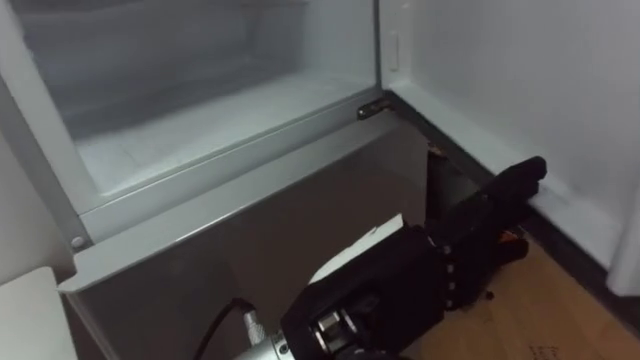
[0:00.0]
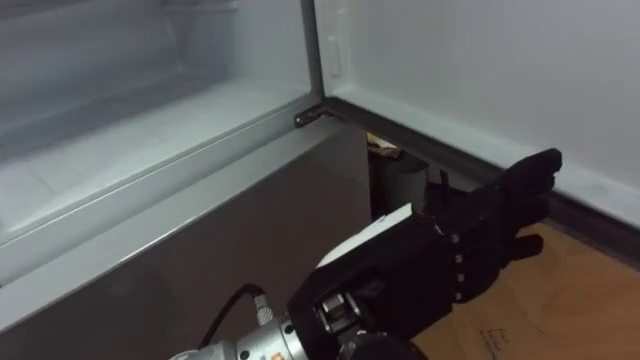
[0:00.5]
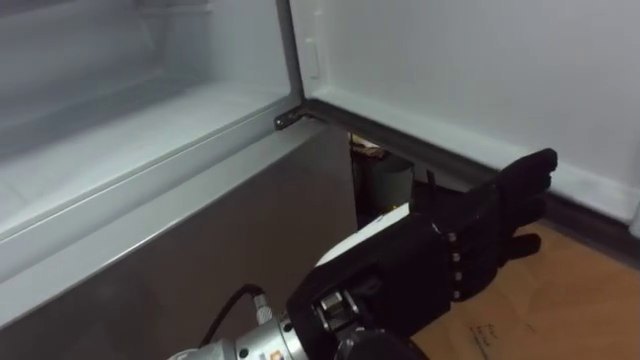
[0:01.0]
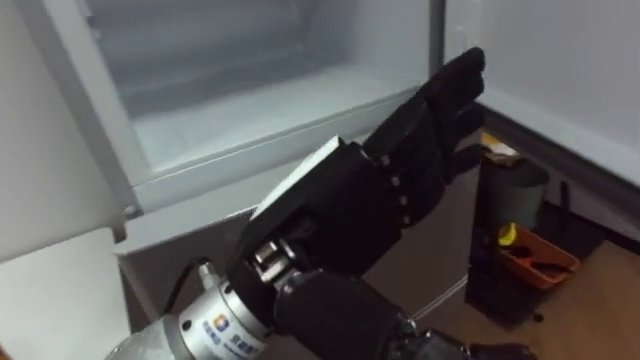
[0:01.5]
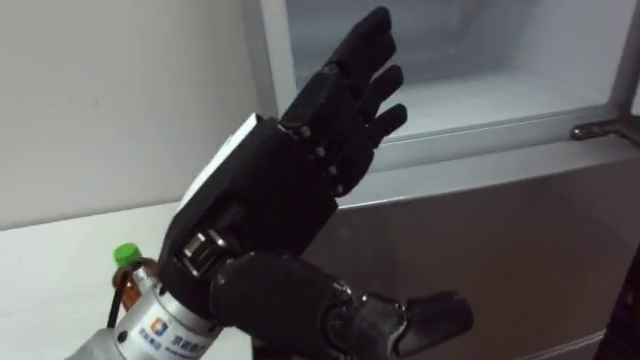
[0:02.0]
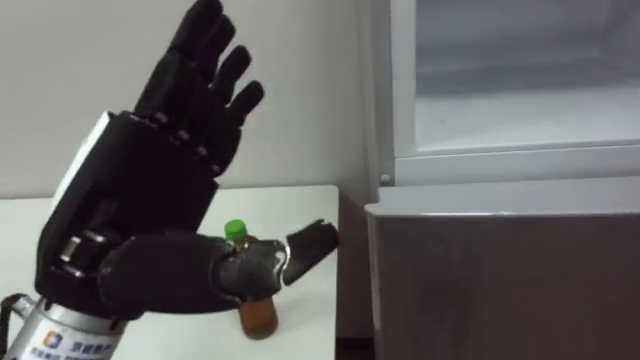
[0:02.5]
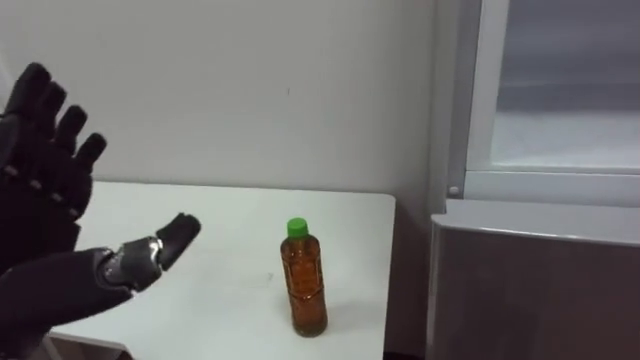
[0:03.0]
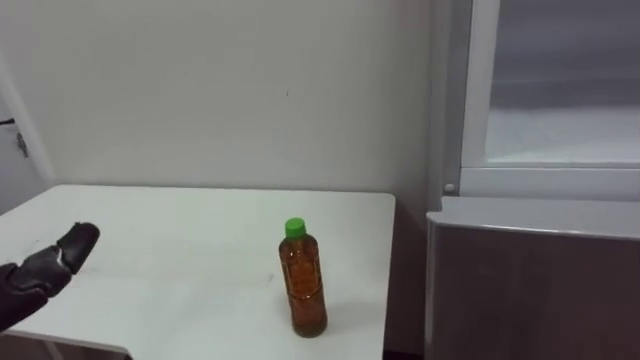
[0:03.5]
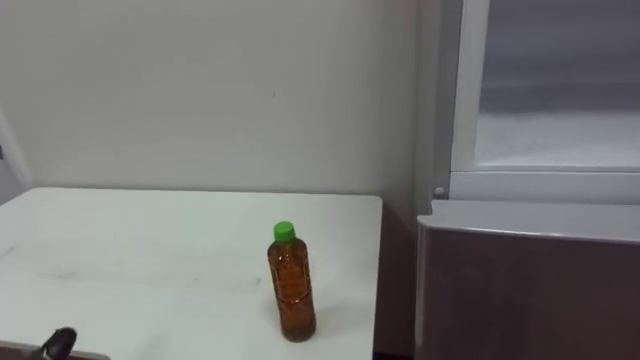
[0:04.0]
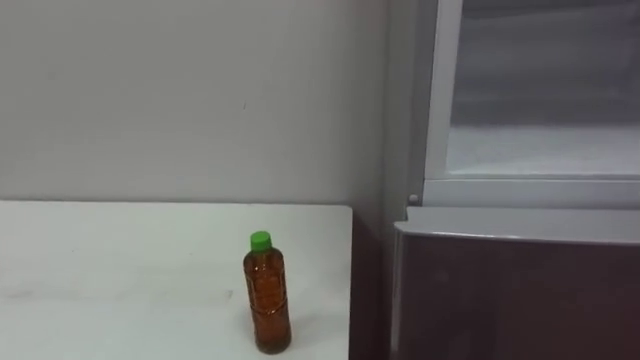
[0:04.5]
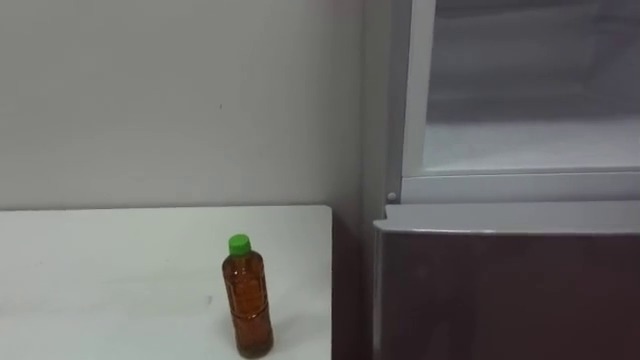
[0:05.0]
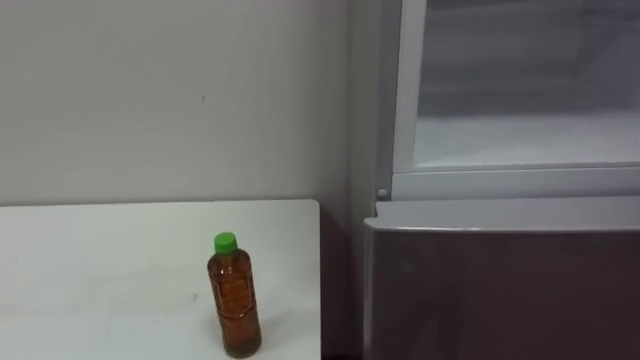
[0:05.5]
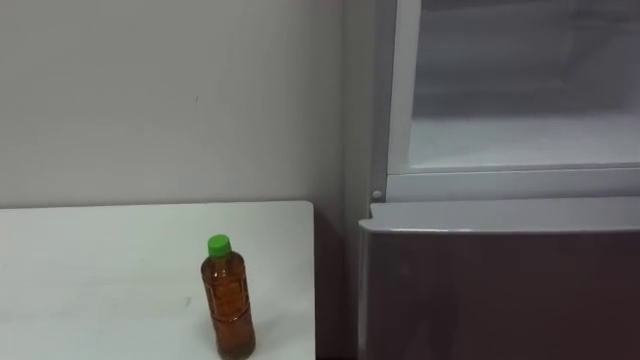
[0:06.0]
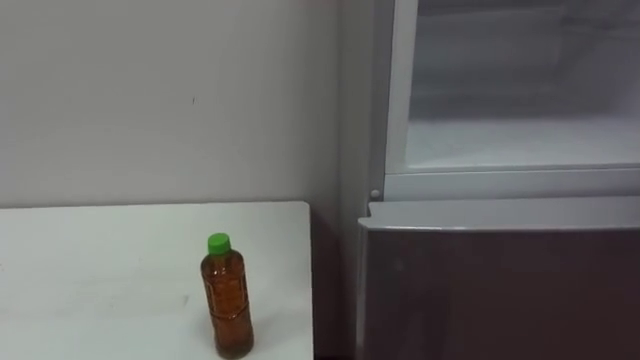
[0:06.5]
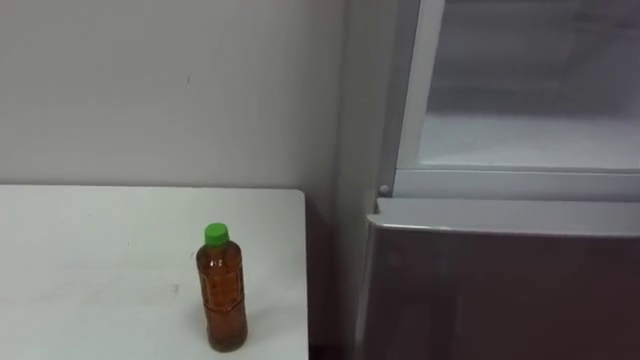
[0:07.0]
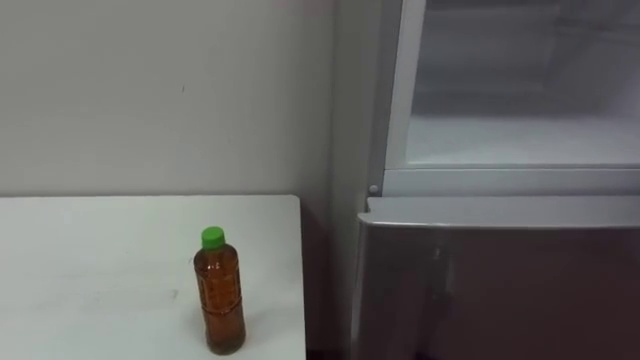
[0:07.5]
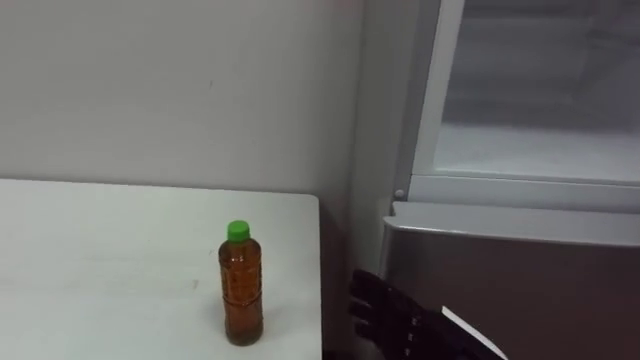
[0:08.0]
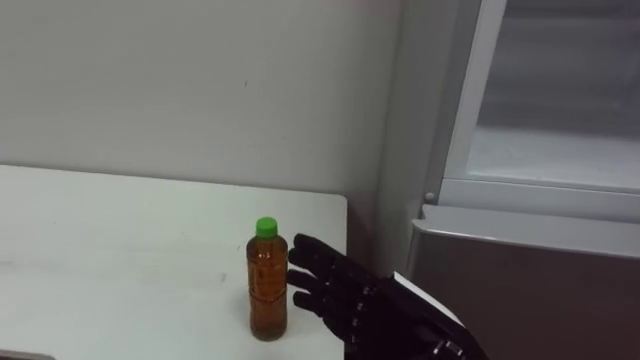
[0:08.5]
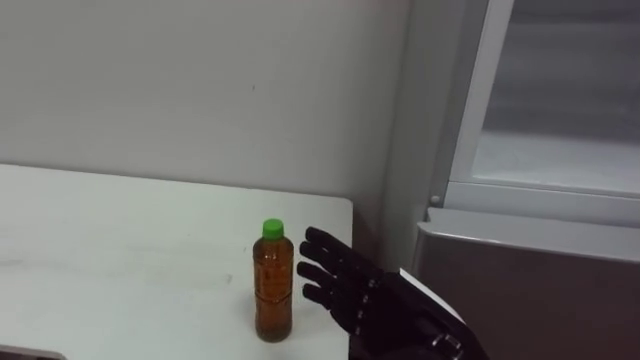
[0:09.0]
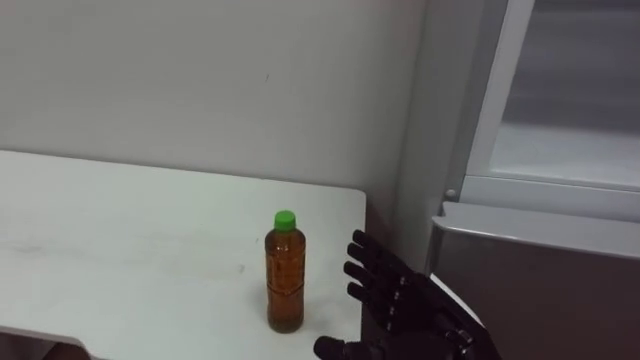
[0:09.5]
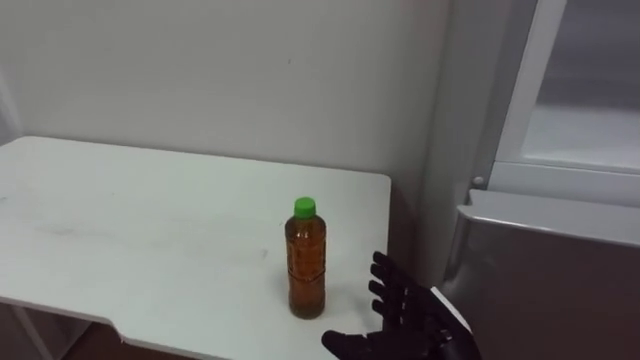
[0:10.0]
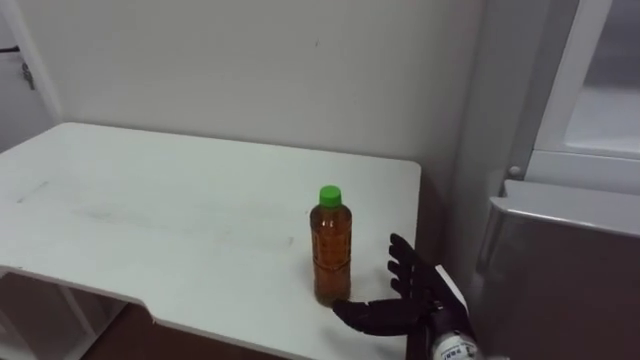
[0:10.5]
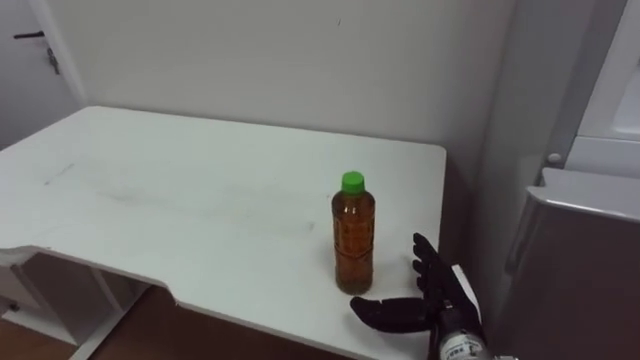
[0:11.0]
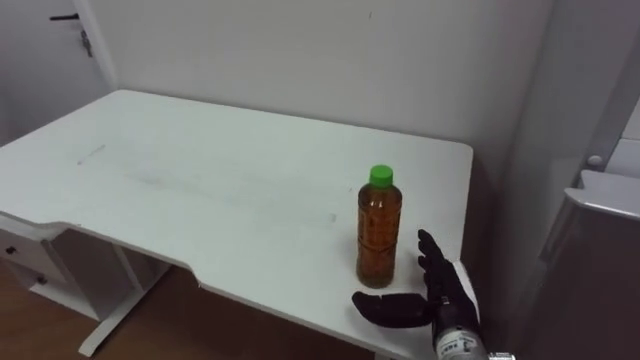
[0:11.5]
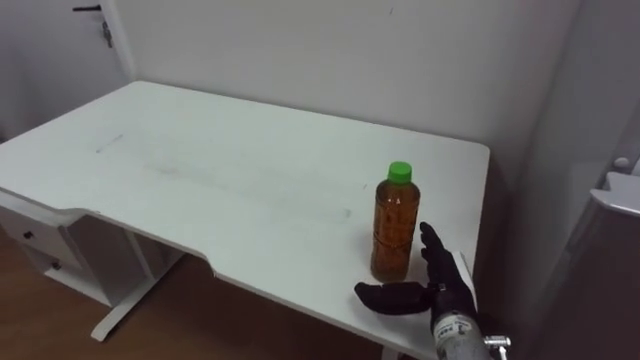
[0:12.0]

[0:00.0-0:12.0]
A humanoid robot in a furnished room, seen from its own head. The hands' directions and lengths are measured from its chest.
Task of the whole recording: Open the upper refrigerator door, put the drink from the table into the refrigerator, and then close the refrigerator door.
0:00.0 to 0:02.0: The left hand moves to the left and upward, approximately 10 cm.
0:08.0 to 0:10.0: The right hand is displaced forward by approximately 5 cm.
0:10.0 to 0:12.0: The right hand shifts some 5 cm forward.

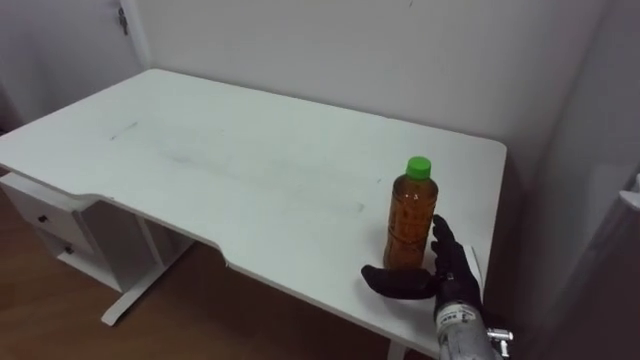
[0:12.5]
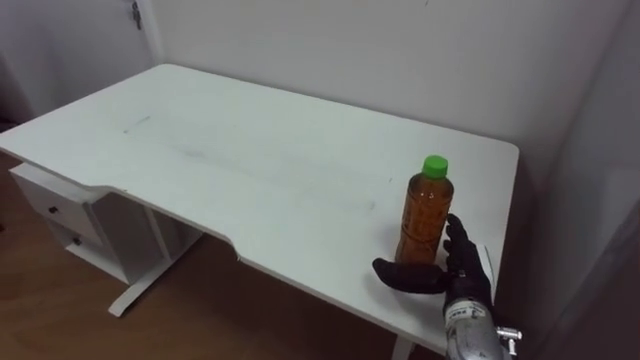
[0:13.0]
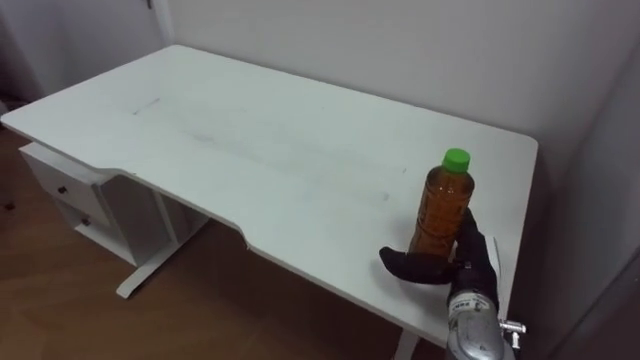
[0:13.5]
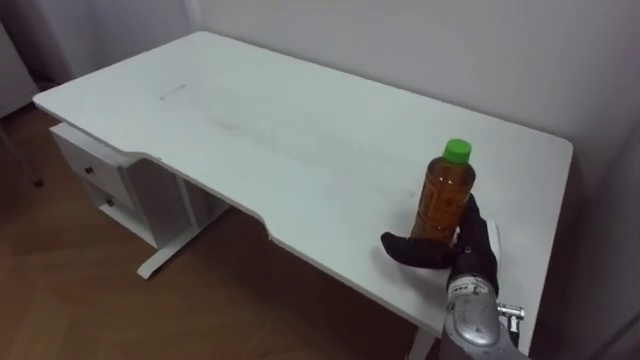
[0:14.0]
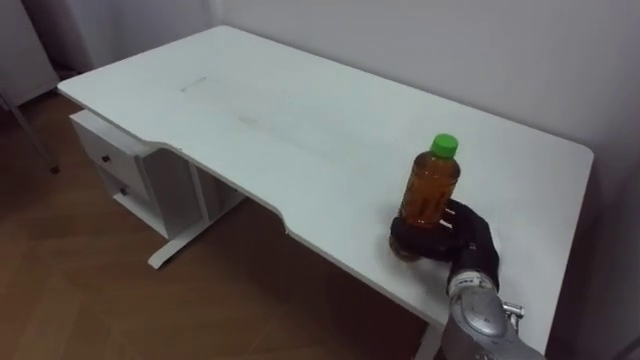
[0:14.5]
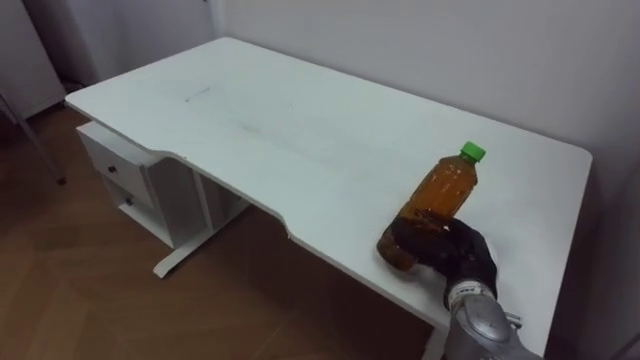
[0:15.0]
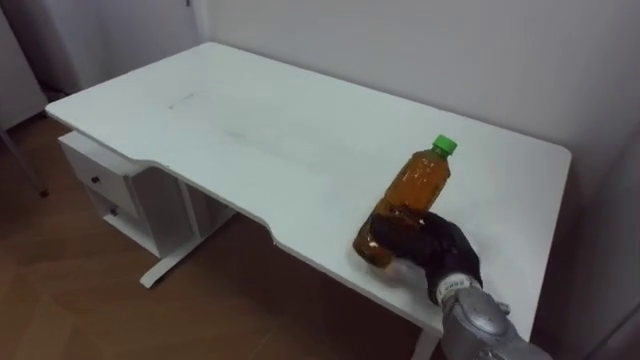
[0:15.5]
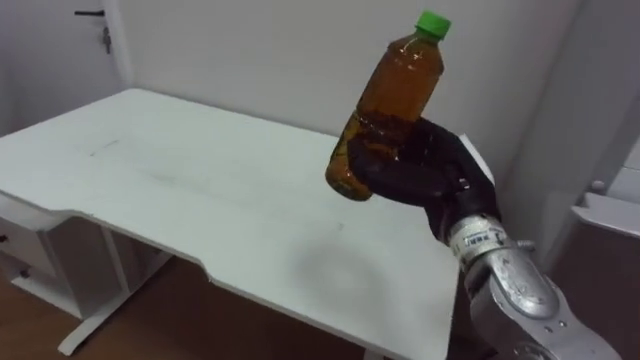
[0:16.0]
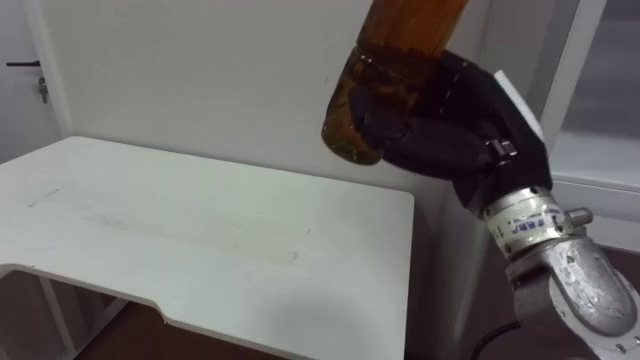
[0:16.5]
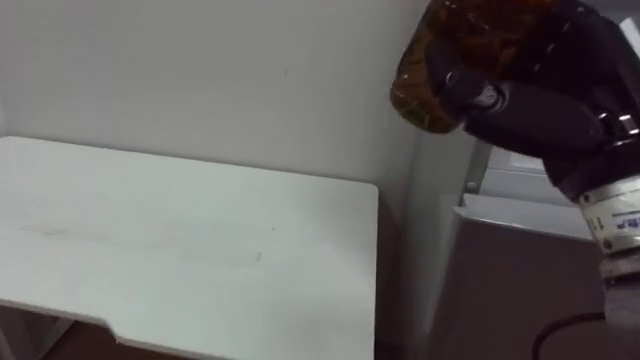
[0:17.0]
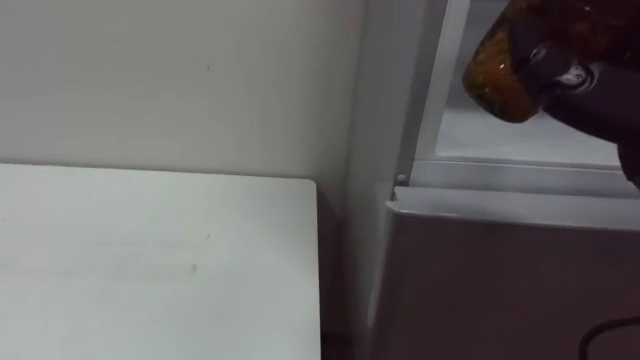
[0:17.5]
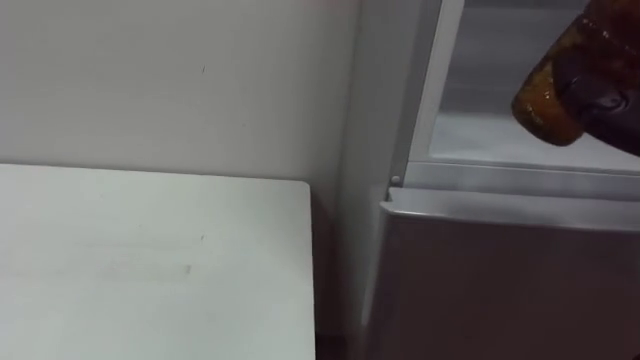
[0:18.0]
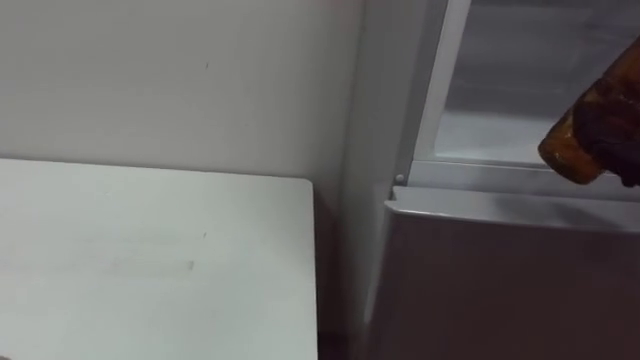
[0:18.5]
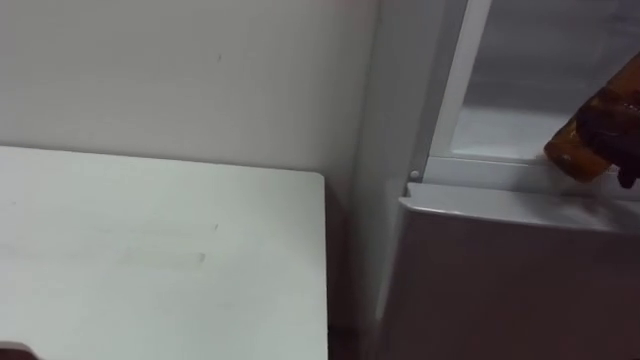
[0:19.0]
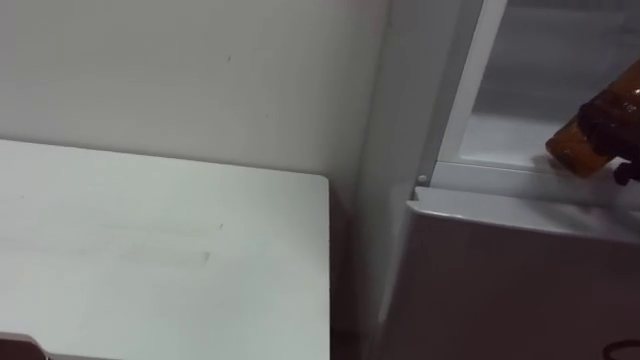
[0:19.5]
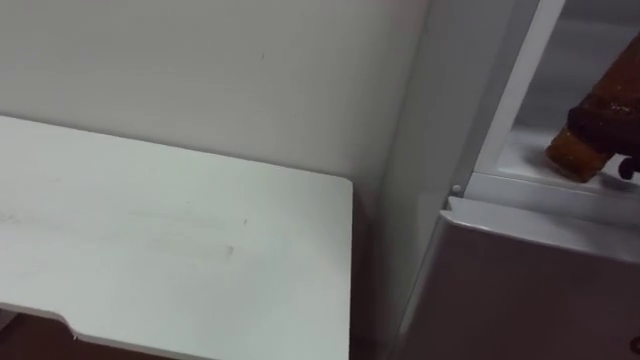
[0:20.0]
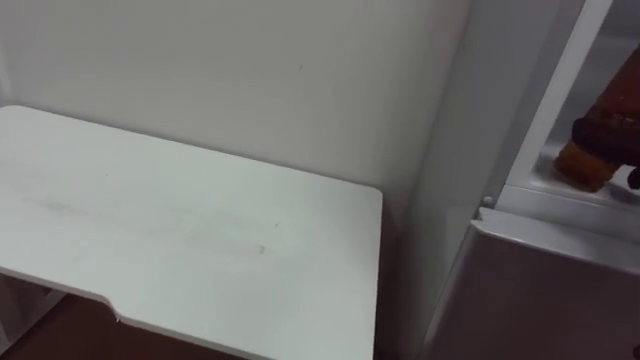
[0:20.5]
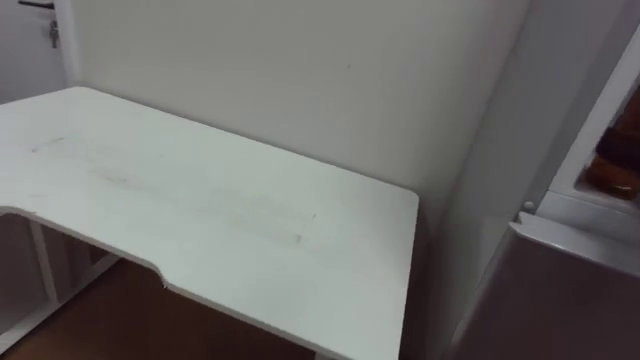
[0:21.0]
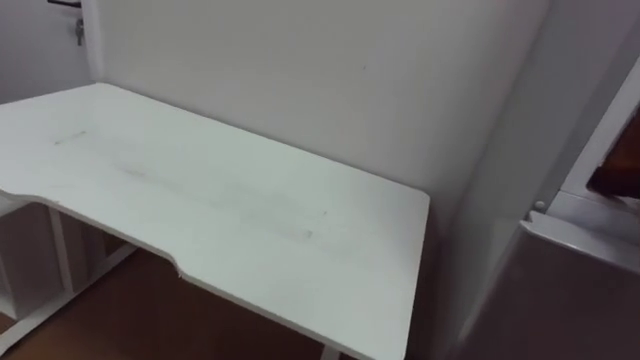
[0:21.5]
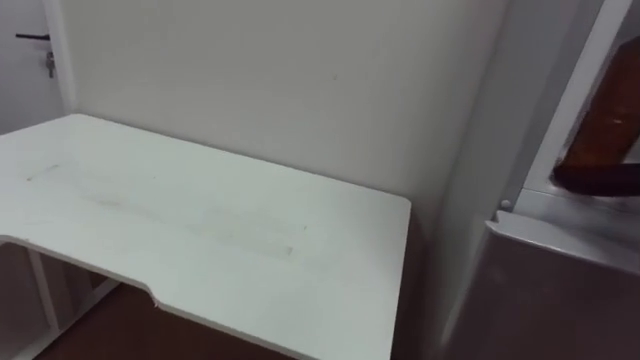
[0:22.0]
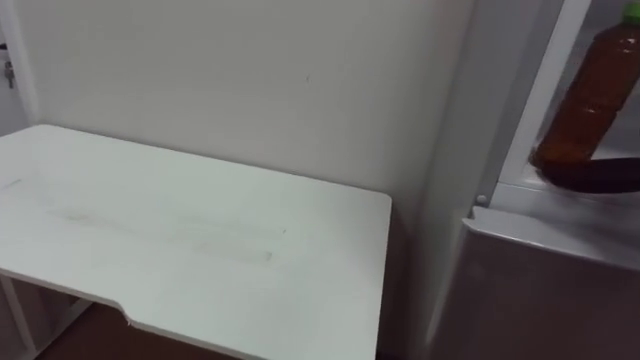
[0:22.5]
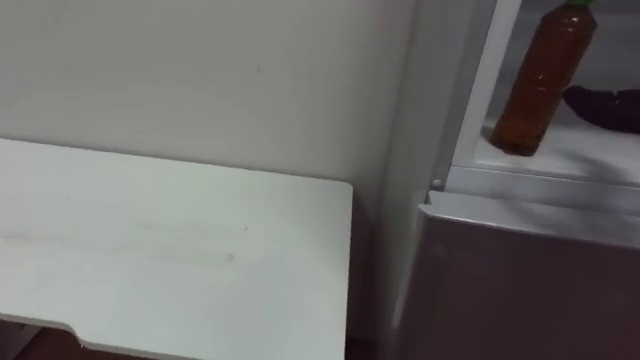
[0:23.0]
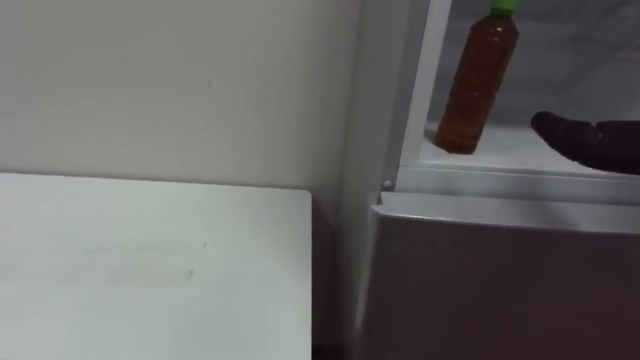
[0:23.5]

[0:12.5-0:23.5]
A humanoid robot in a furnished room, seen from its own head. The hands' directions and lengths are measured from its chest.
Task of the whole recording: Open the upper refrigerator door, put the drink from the table into the refrigerator, and then close the refrigerator door.
0:14.5 to 0:16.0: The right hand shifts some 10 cm upward.
